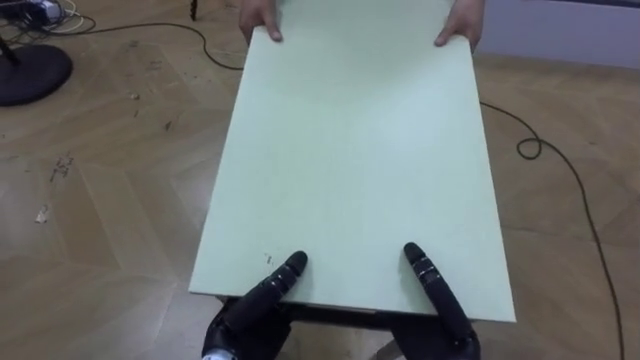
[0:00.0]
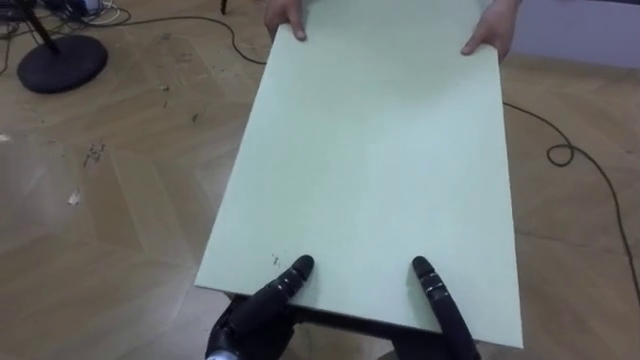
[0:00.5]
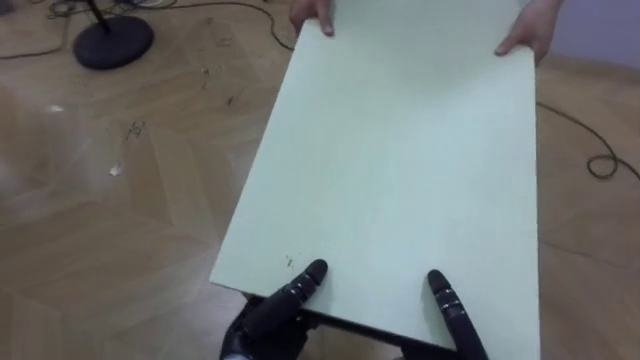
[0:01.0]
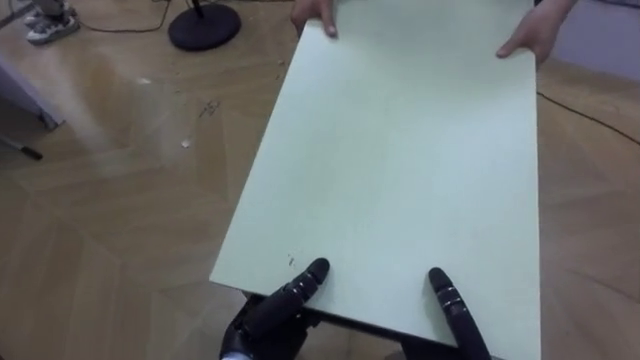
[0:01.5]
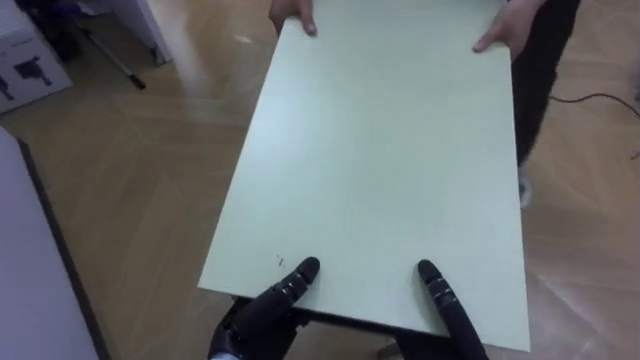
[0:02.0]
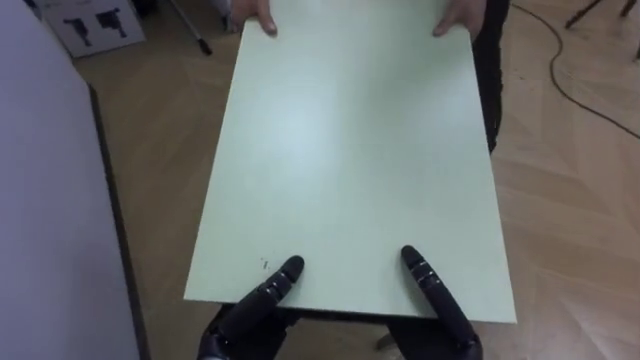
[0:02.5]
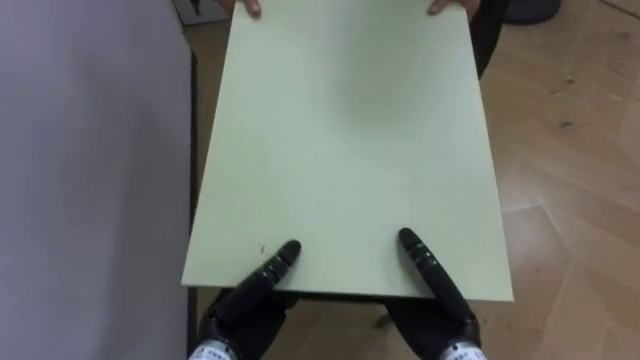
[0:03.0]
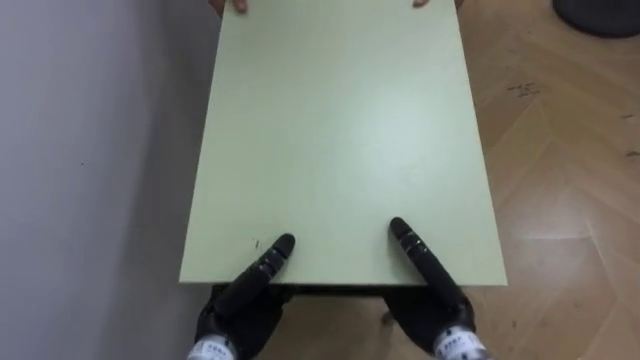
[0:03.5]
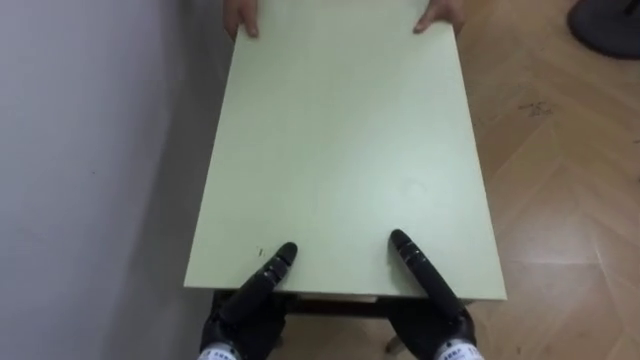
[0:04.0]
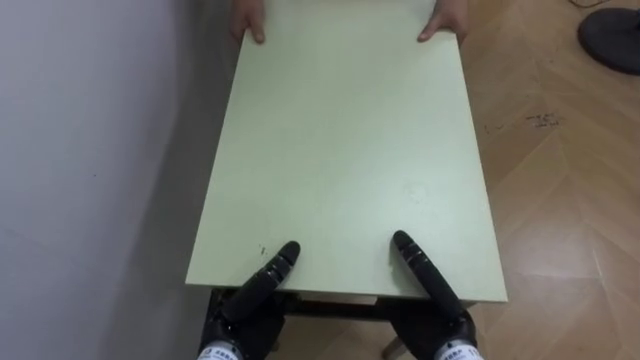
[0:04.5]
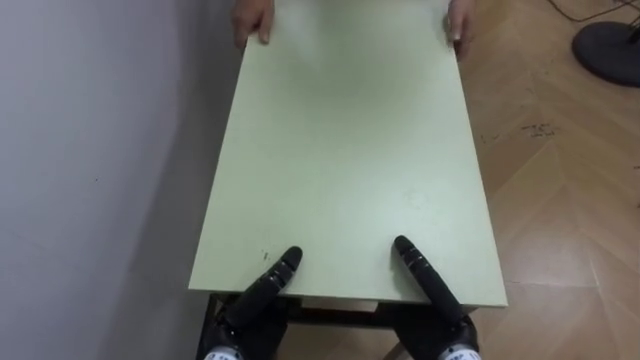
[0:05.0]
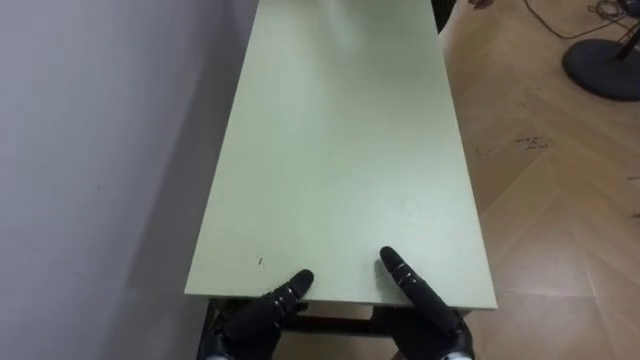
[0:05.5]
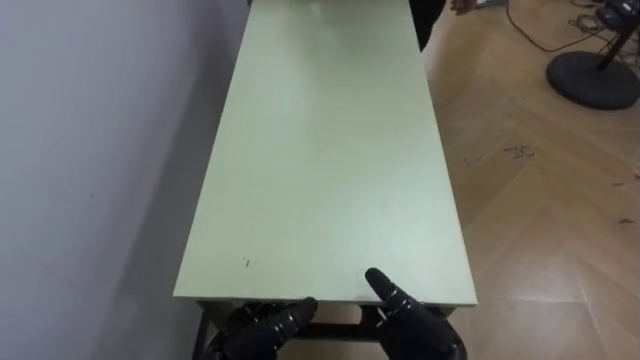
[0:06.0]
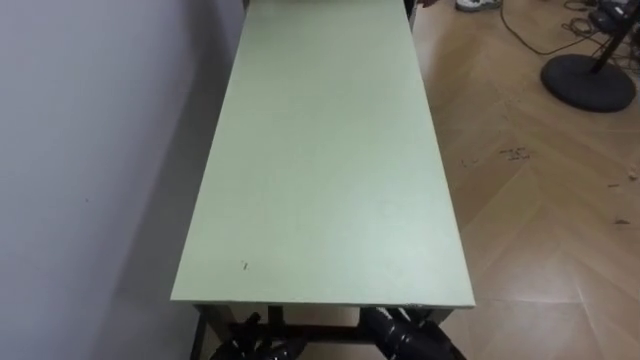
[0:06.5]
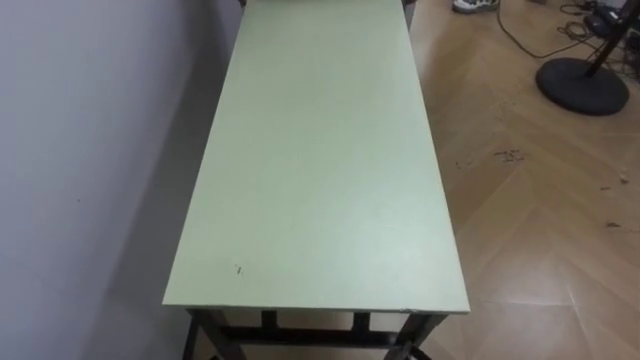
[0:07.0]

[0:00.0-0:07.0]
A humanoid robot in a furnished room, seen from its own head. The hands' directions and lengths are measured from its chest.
Task of the whole recording: Move the table to the back left with someone.
0:00.0 to 0:02.0: The robot turns to its left by about 45 degrees.
0:02.0 to 0:03.5: The robot turns to its left by some 35 degrees. The right hand moves forward, some 5 cm.

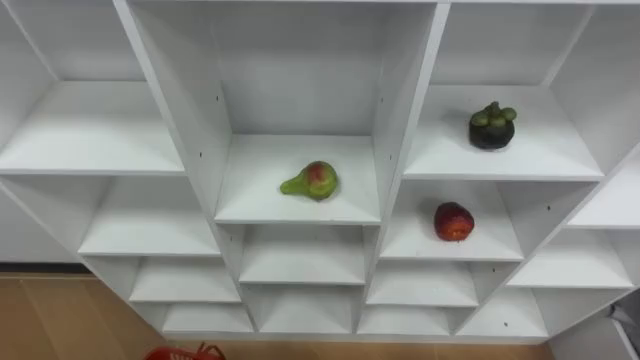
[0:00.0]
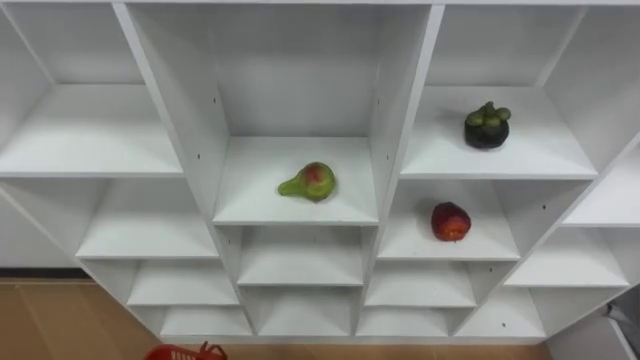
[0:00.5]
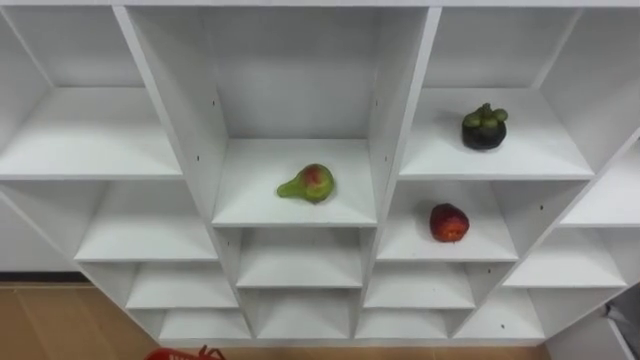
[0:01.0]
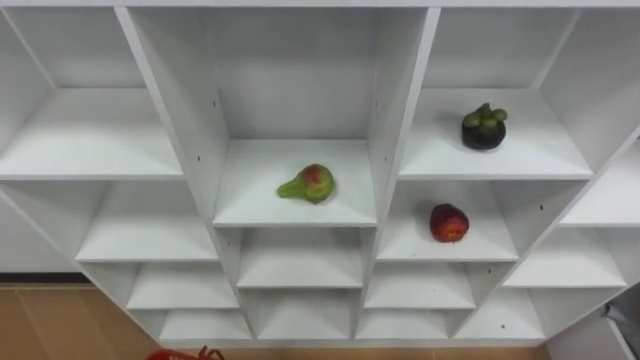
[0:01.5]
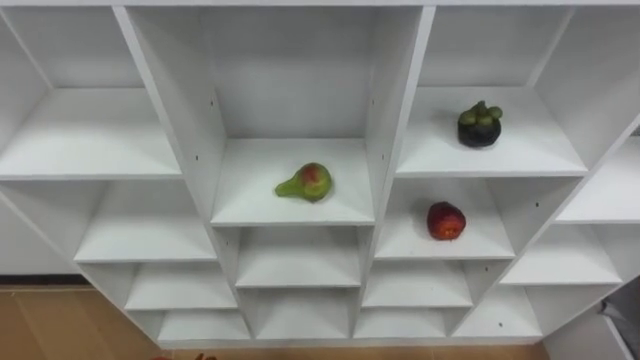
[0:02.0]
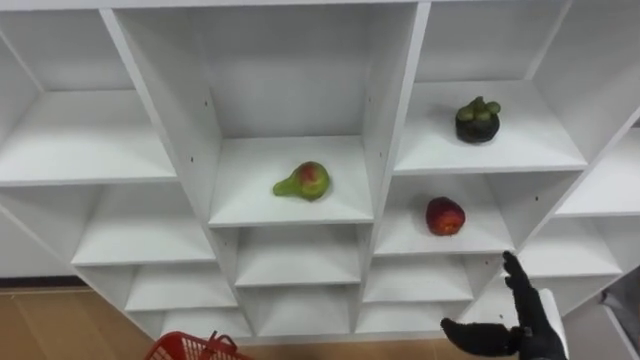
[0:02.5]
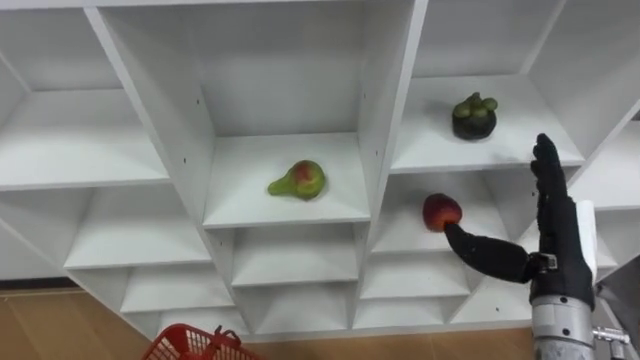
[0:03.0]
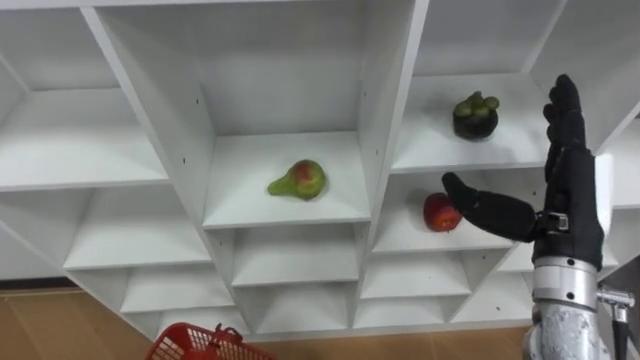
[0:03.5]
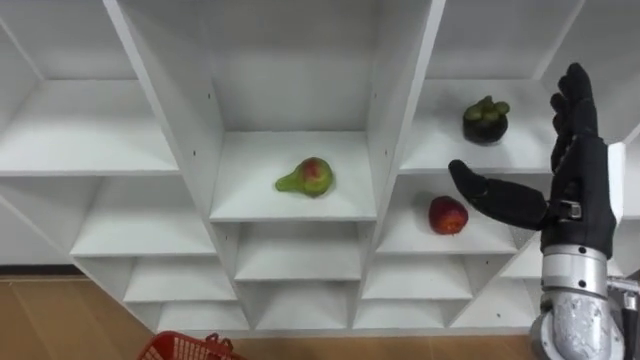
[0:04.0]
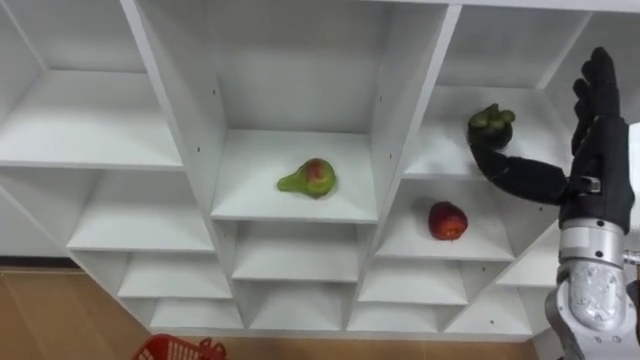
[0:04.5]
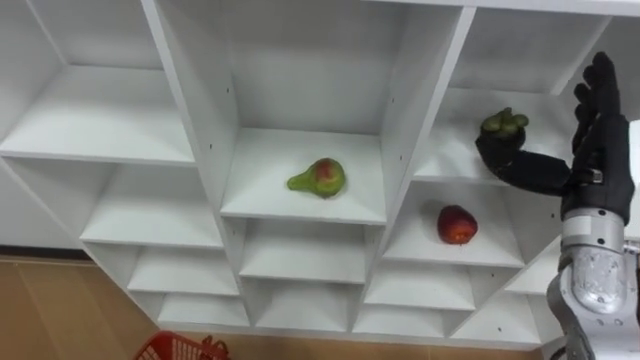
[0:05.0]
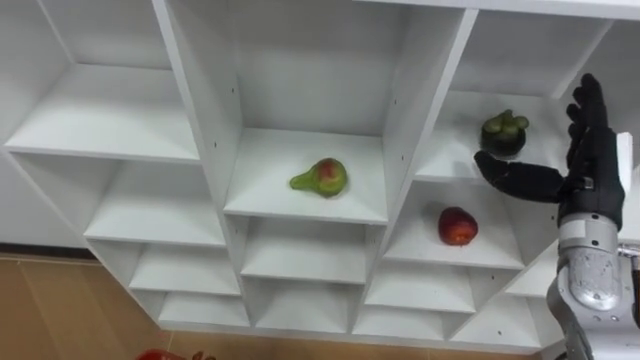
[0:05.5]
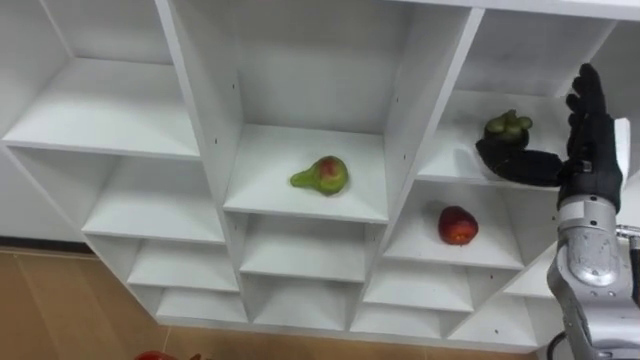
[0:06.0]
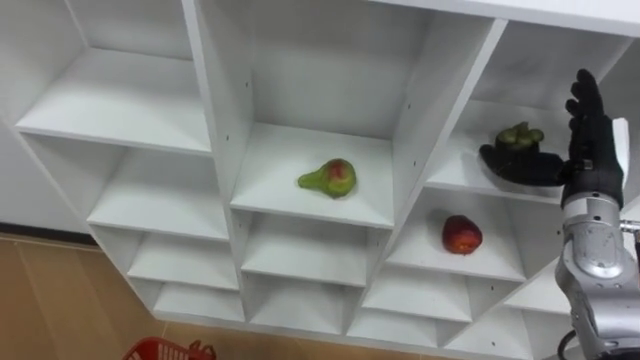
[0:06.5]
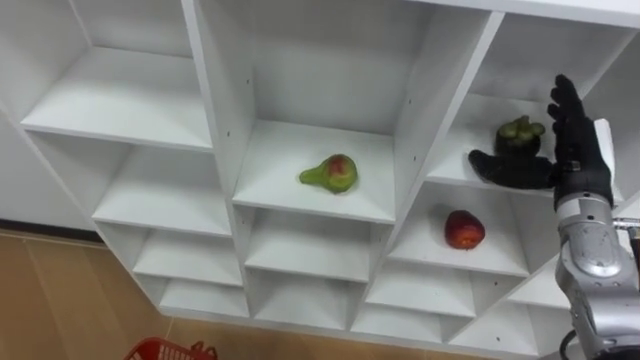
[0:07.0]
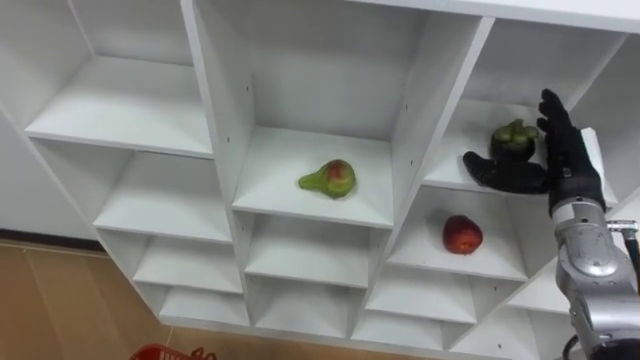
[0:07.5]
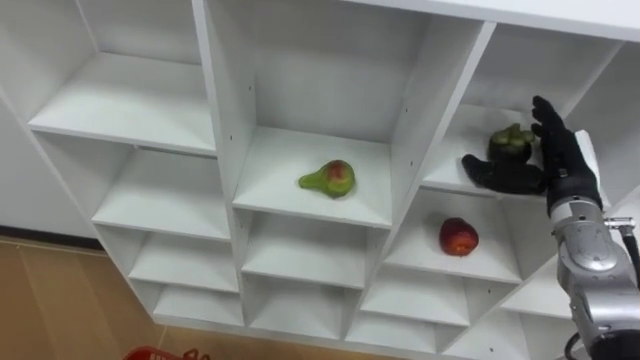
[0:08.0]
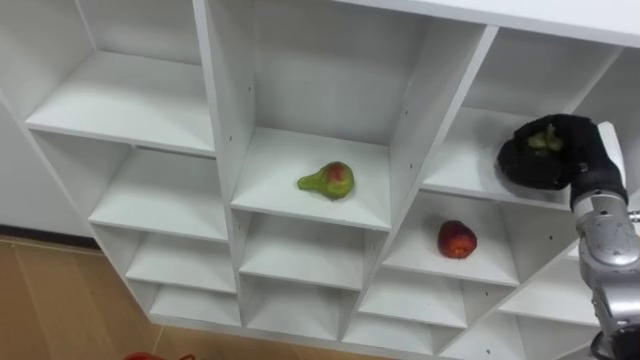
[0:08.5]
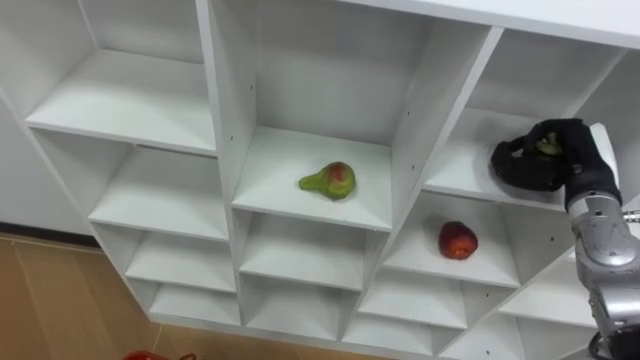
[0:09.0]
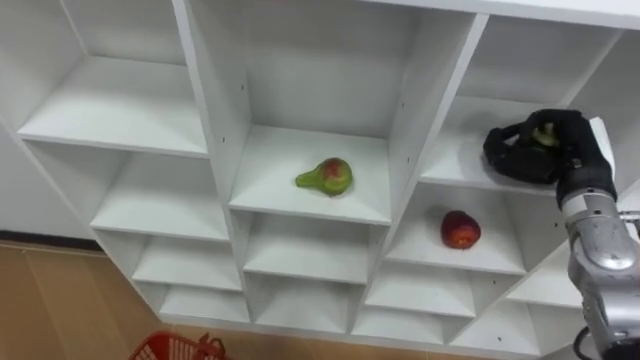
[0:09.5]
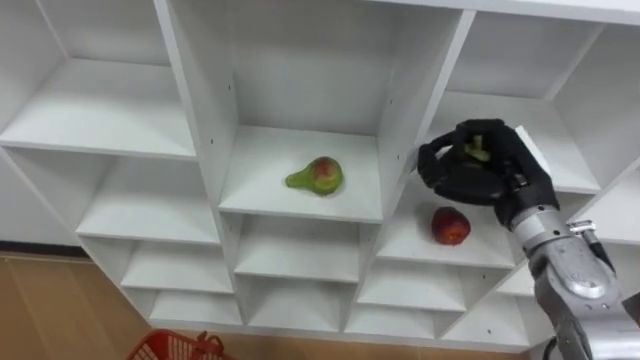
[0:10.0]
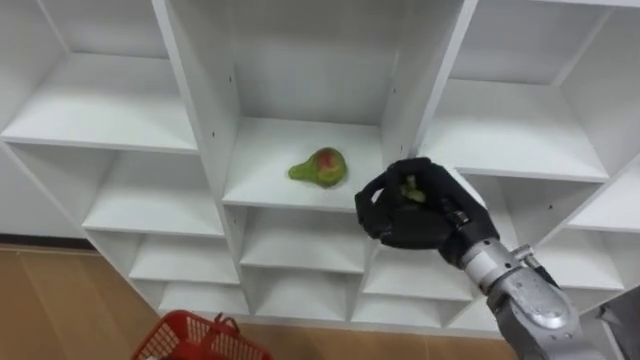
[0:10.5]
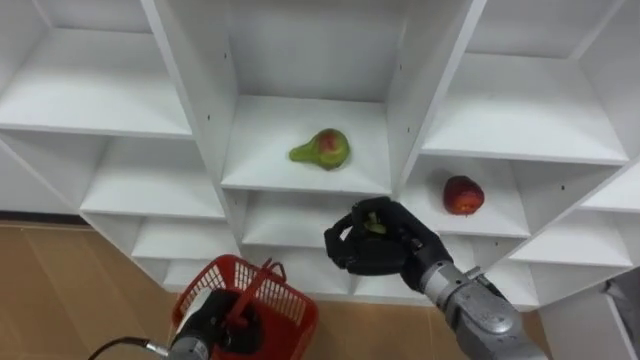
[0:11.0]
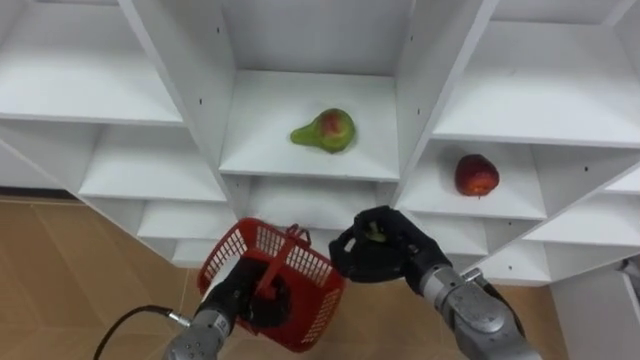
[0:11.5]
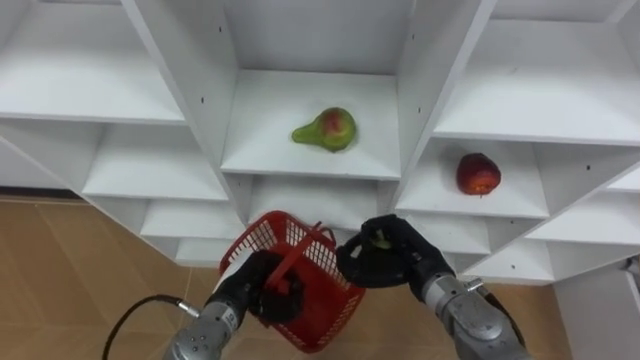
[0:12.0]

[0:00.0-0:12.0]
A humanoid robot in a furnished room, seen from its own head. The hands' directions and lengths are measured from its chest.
Task of the whole recording: Hold the basket and collect the fruits from 3 different cells of the closet into it.
0:04.0 to 0:06.0: The right hand shifts approximately 5 cm forward.
0:06.0 to 0:08.0: The right hand moves roughly 5 cm.
0:08.0 to 0:10.0: The right hand goes about 5 cm to the left, and closes.
0:10.0 to 0:12.0: The right hand heads downward and to the left, covering approximately 15 cm.

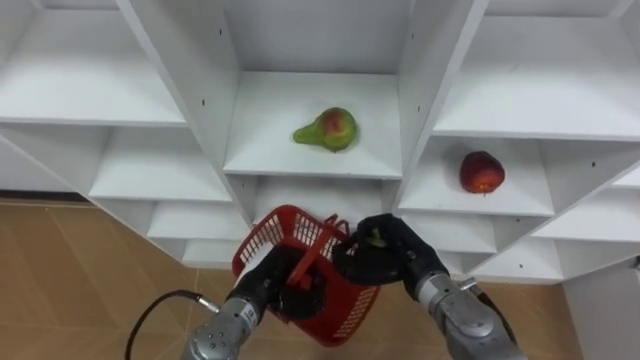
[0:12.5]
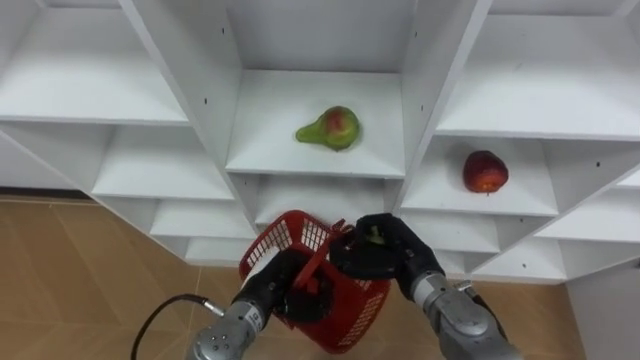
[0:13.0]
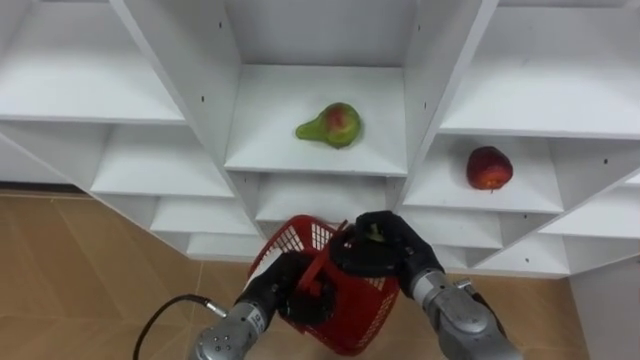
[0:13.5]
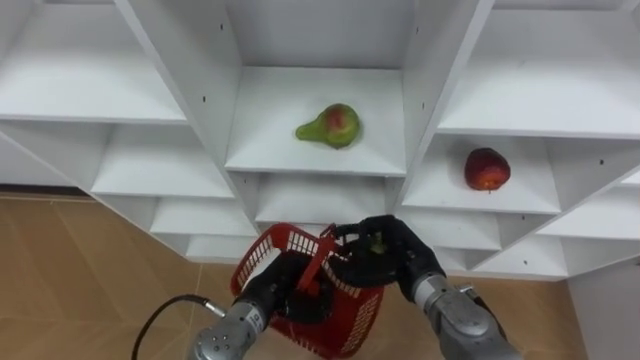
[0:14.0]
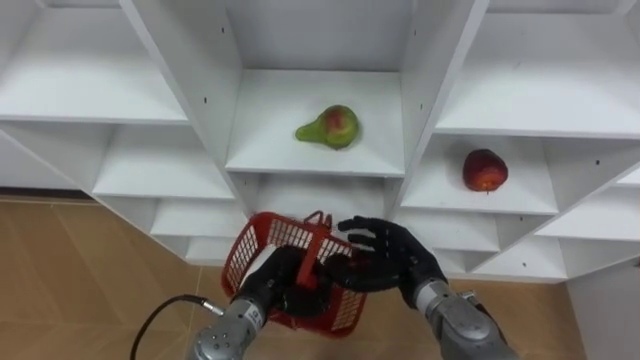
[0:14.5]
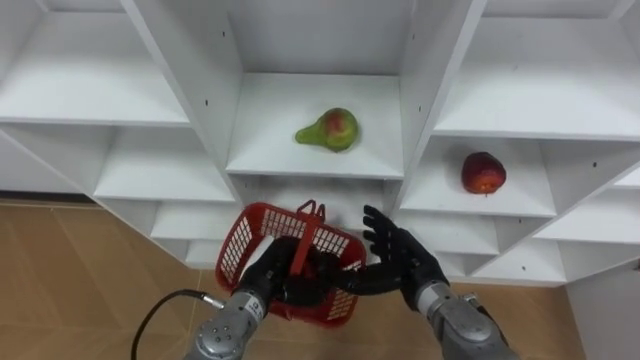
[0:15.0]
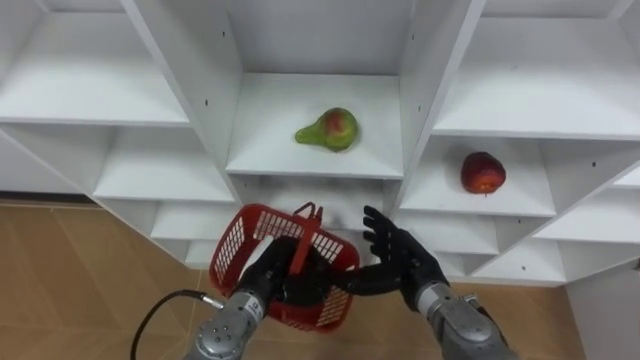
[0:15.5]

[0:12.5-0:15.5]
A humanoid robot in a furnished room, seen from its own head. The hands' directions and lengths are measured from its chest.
Task of the whole recording: Hold the basket and collect the fruits from 3 different cells of the closet into it.
0:12.5 to 0:14.0: There are only small adjustments of the hands.
0:14.0 to 0:15.5: The right hand opens.
